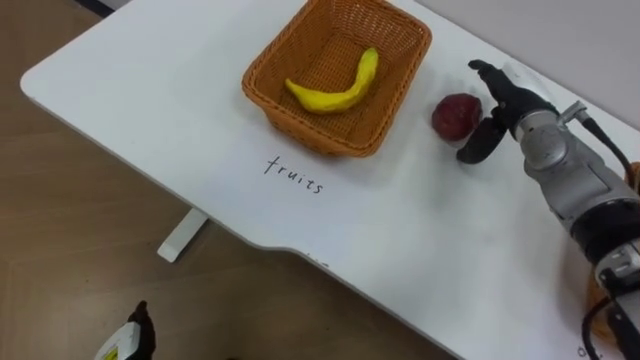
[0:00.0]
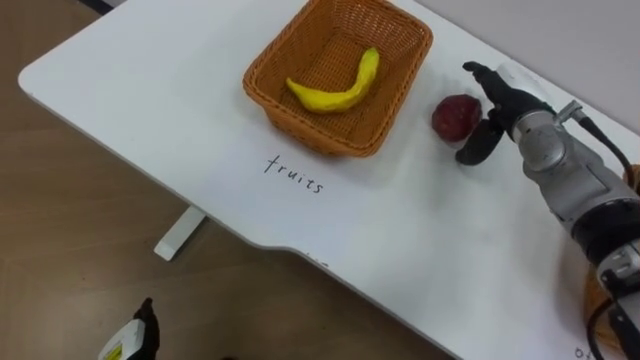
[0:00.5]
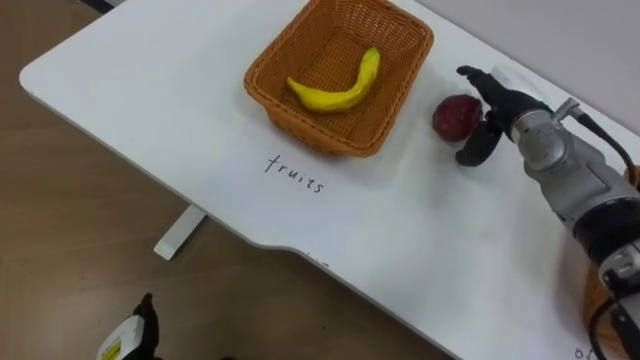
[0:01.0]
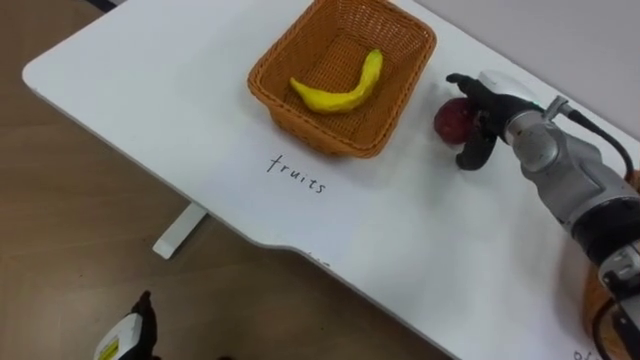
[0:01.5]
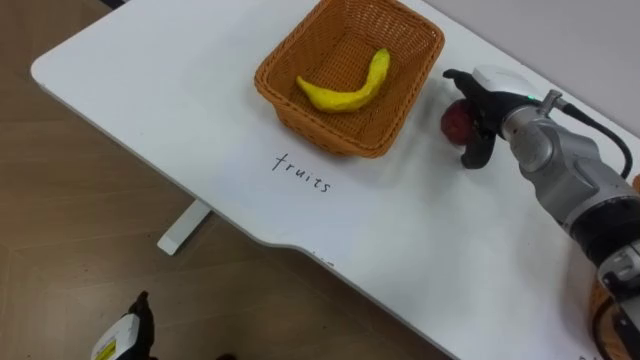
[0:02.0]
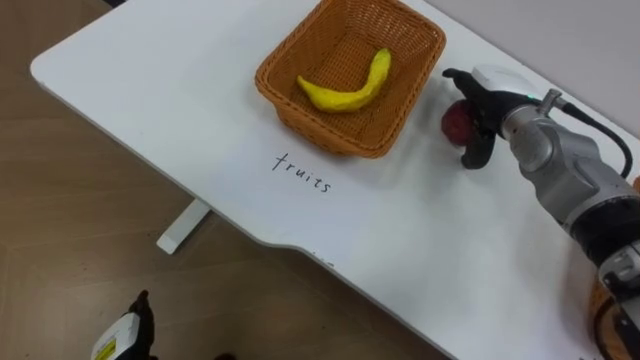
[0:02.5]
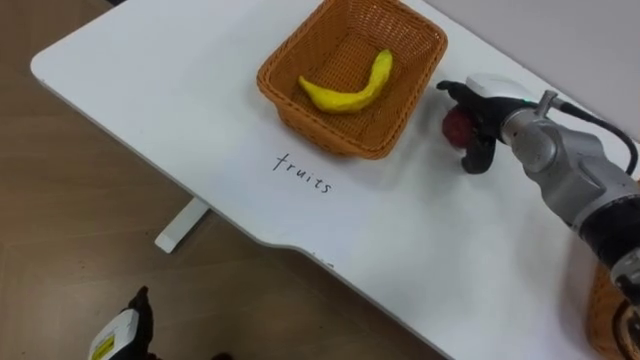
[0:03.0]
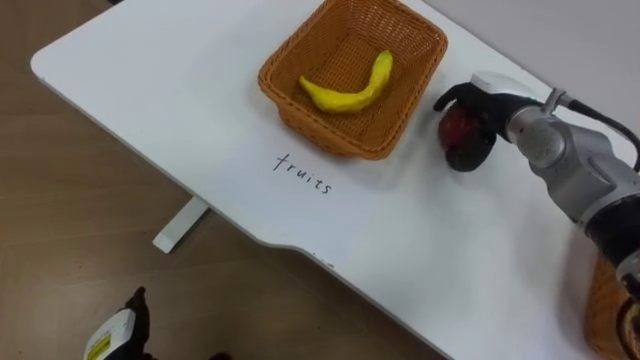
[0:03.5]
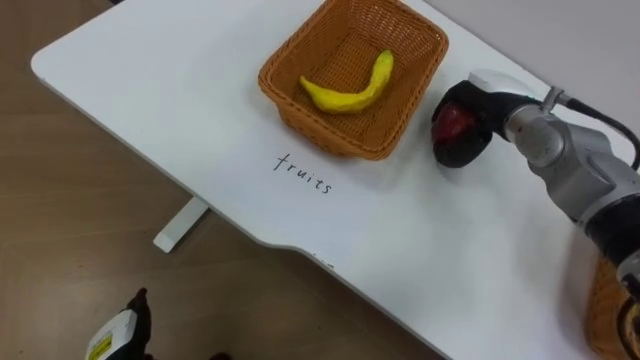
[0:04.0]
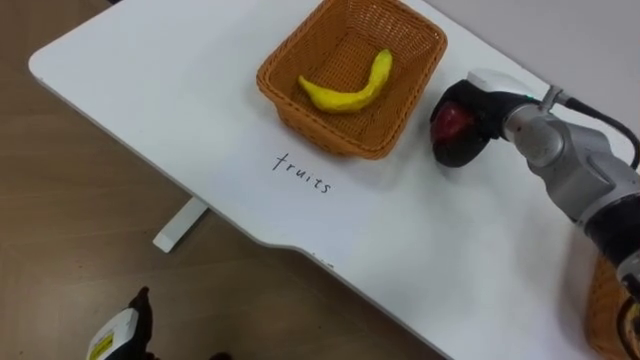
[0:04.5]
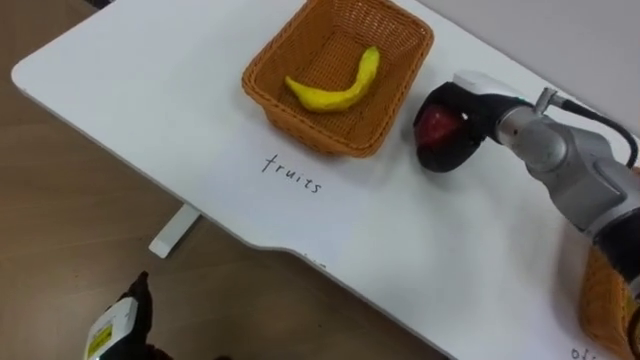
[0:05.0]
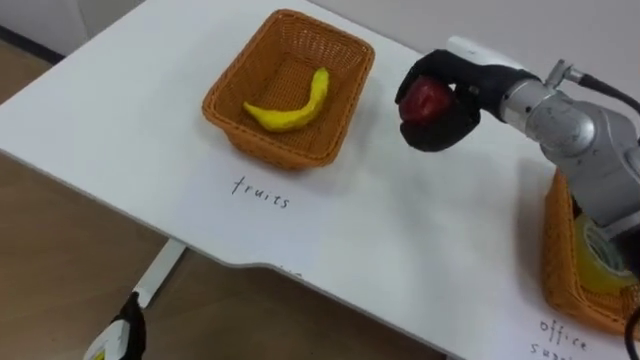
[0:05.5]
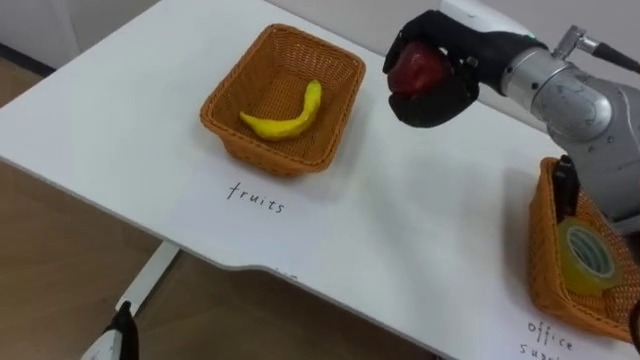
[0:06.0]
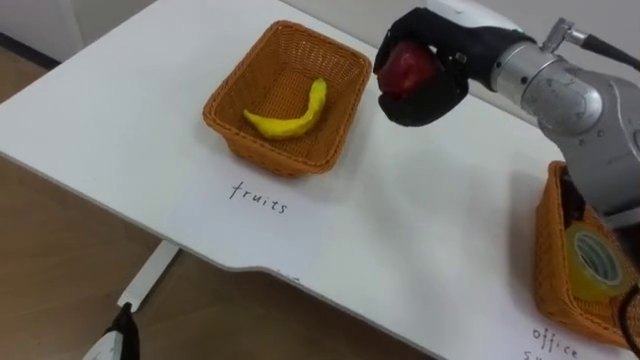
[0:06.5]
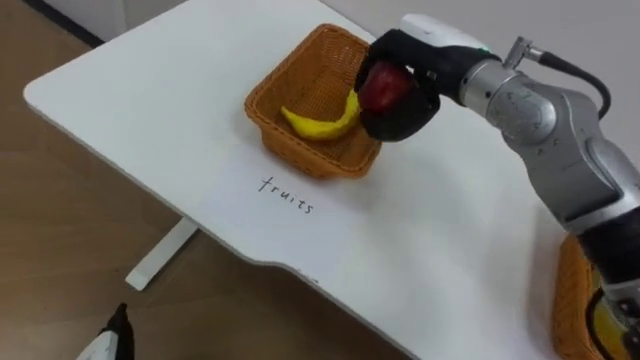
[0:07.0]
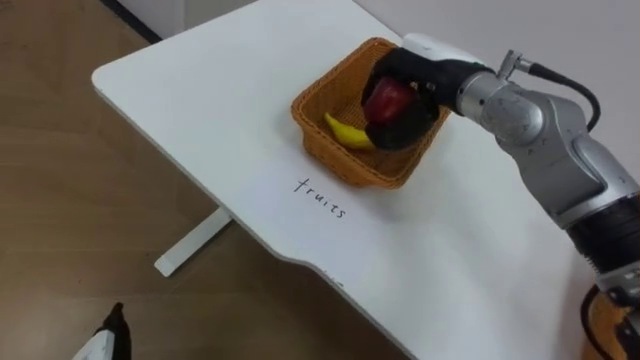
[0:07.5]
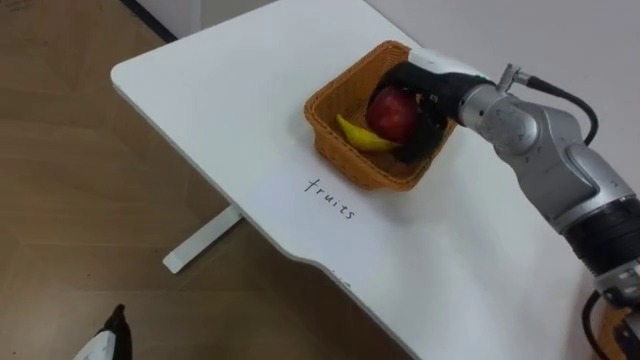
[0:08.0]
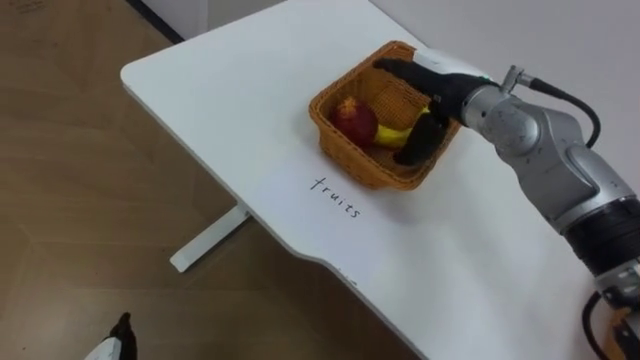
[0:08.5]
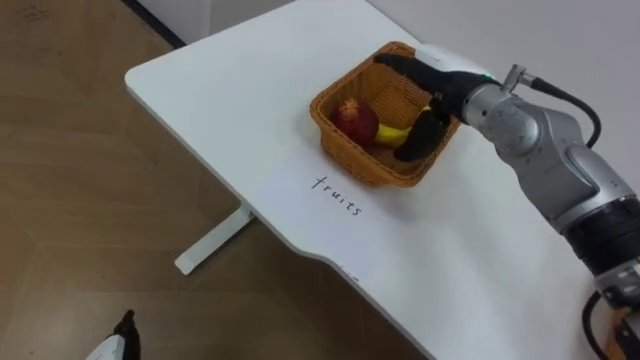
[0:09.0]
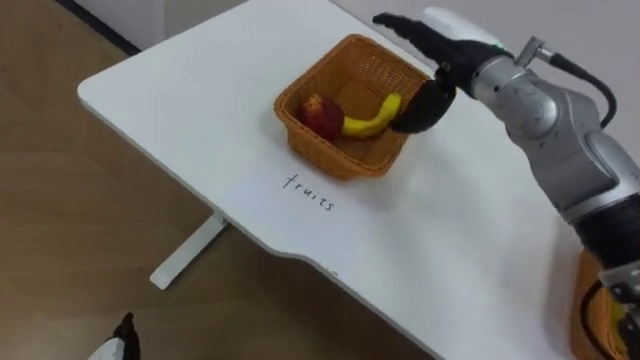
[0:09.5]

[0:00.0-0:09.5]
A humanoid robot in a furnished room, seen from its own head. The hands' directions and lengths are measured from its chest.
Task of the whole recording: Separate the items on the table and place them into the two baskets.
0:02.0 to 0:04.0: The right hand closes its fingers.
0:04.0 to 0:05.5: The right hand is displaced upward by approximately 5 cm.
0:05.5 to 0:07.5: The right hand shifts by roughly 5 cm.
0:07.5 to 0:09.5: The right hand opens.

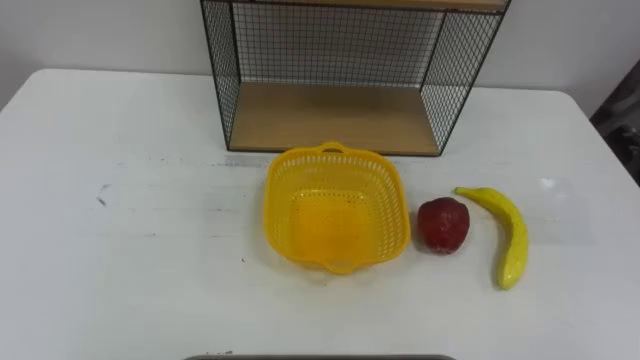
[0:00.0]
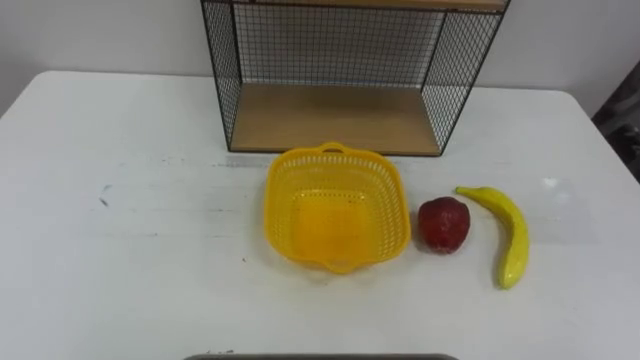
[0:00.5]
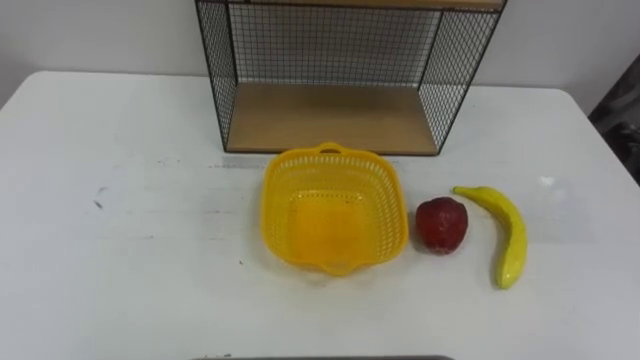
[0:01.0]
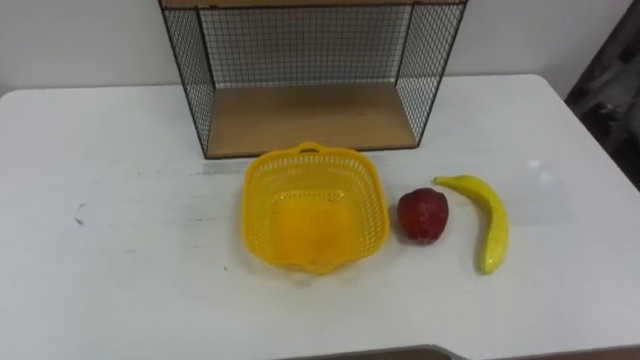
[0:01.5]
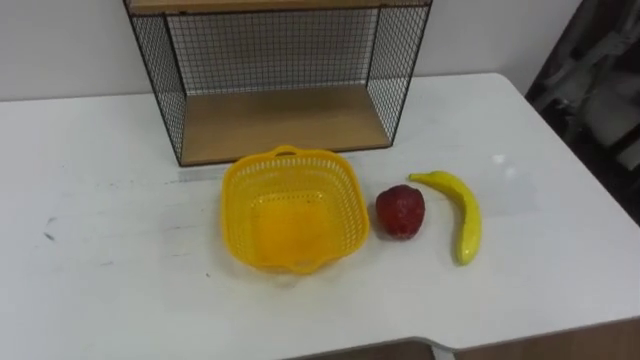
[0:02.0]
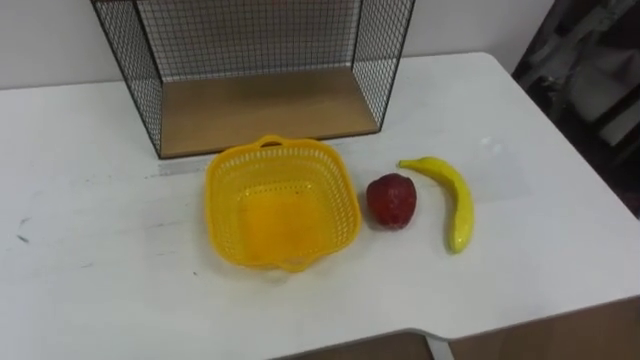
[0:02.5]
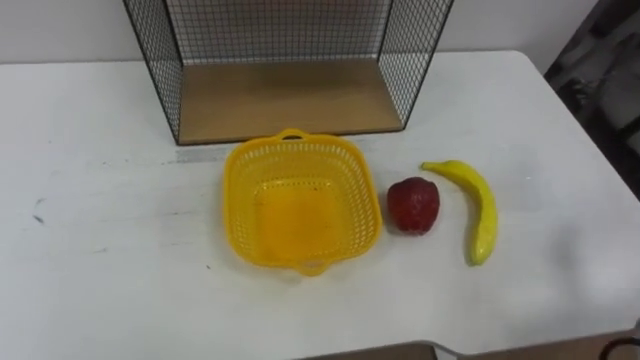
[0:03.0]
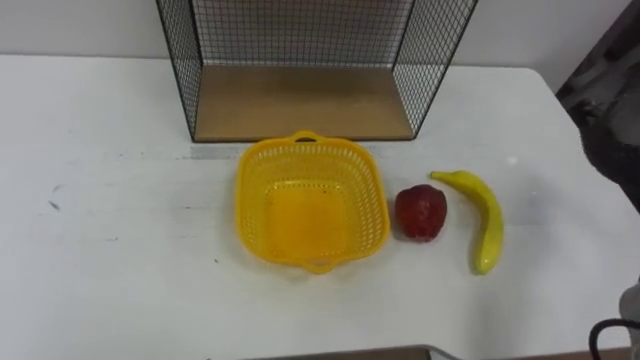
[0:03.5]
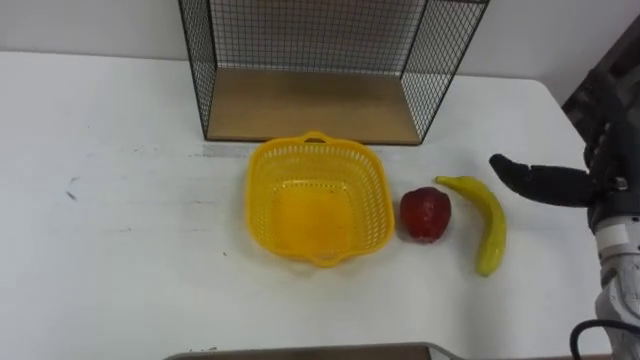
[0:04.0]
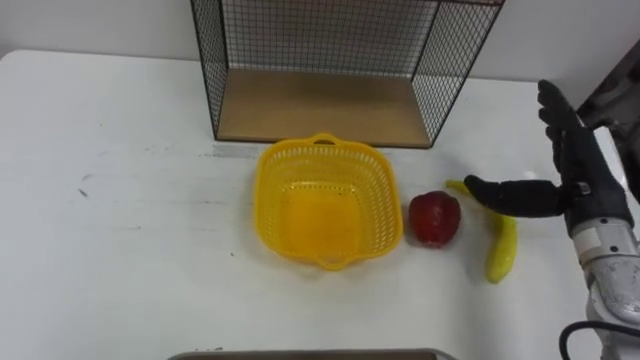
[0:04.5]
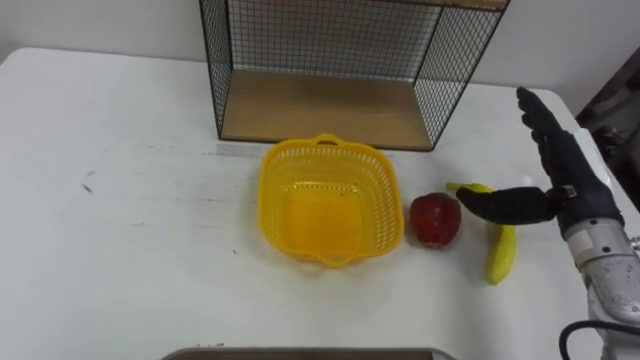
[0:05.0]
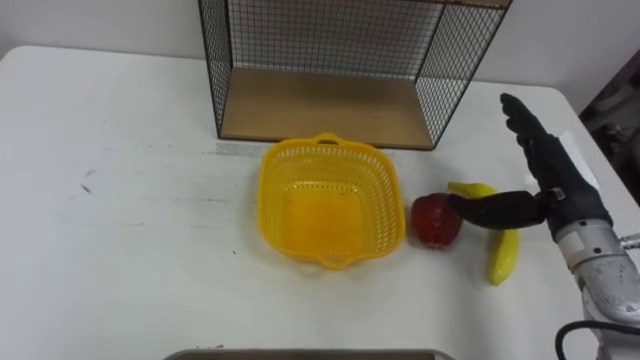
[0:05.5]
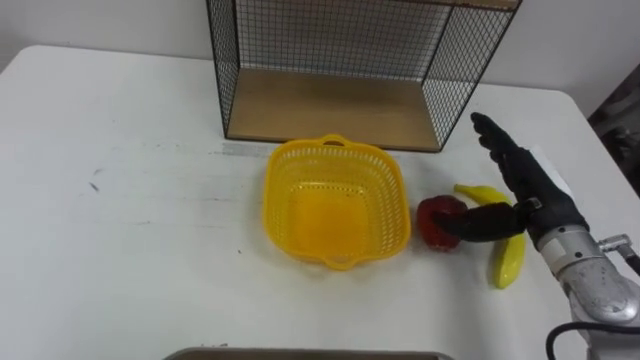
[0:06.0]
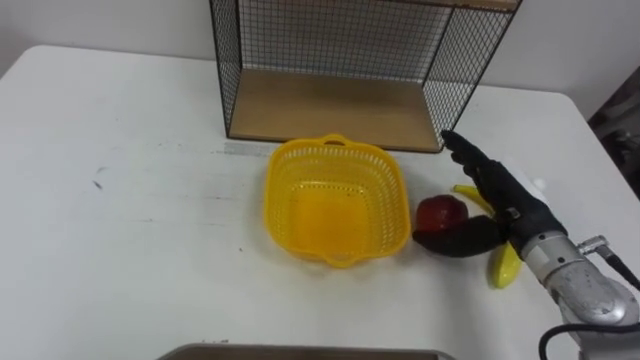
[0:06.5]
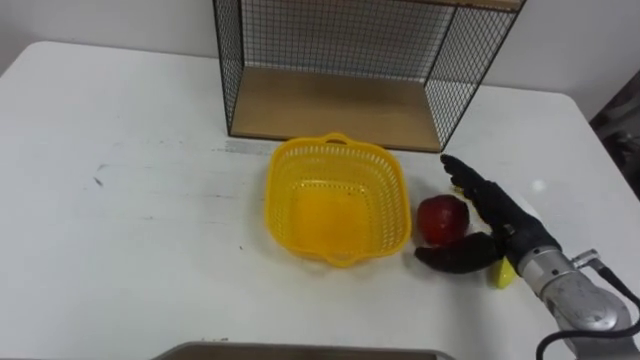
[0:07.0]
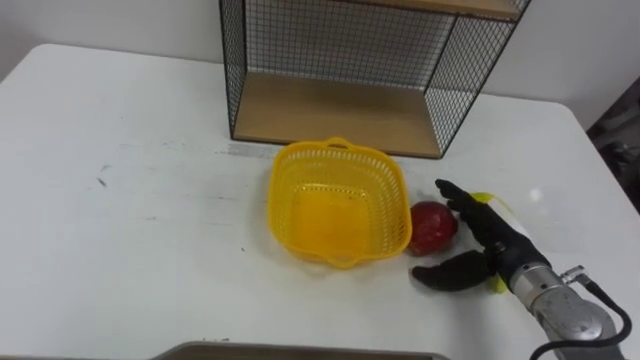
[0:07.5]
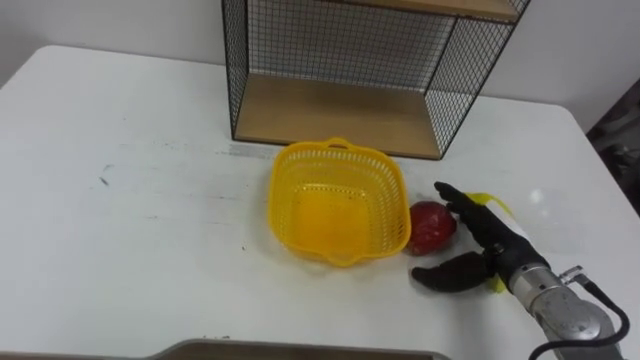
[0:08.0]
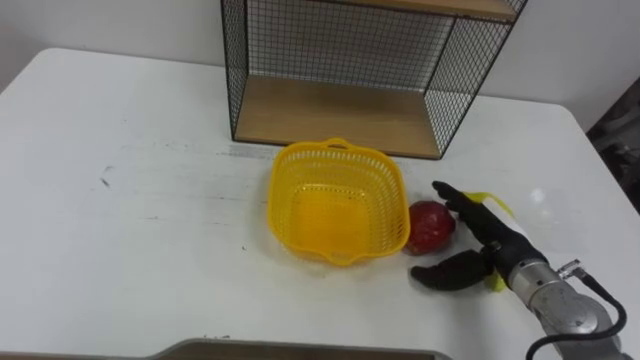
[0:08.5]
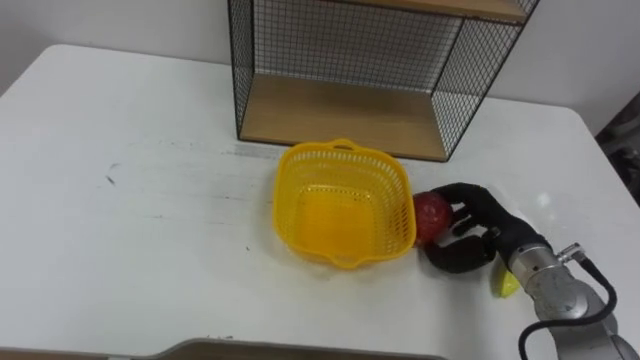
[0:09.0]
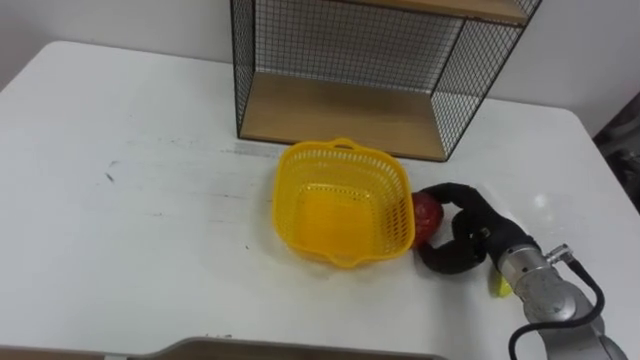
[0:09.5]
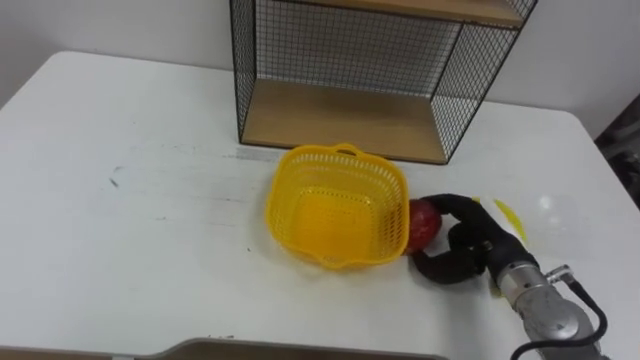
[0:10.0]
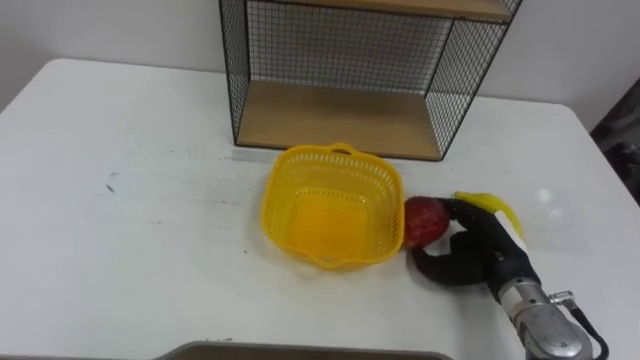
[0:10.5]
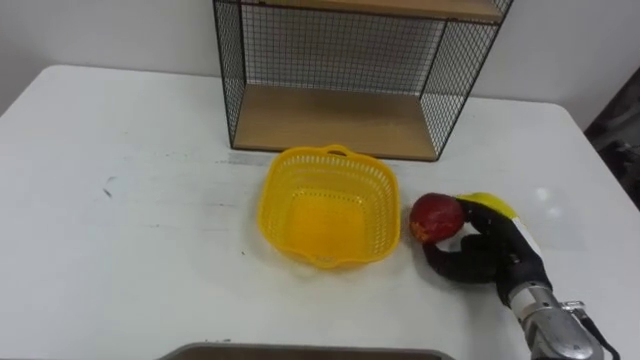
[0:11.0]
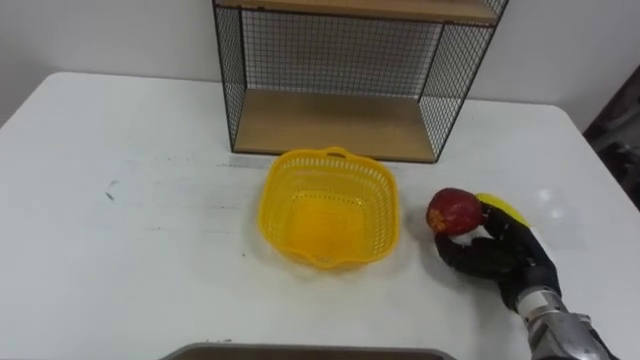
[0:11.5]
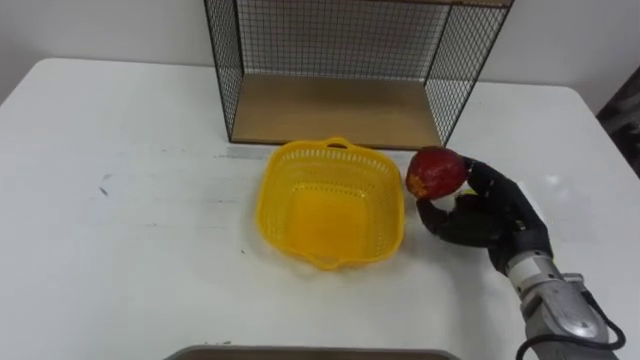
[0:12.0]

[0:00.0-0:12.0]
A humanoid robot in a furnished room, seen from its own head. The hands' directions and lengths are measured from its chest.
Task of the whole recording: Put the fruit on the table into the basket, then place the basket on the shelf.
0:04.0 to 0:06.0: The right hand shifts some 5 cm to the left.
0:06.0 to 0:08.0: The right hand travels downward by roughly 10 cm.
0:08.0 to 0:10.0: The right hand closes.
